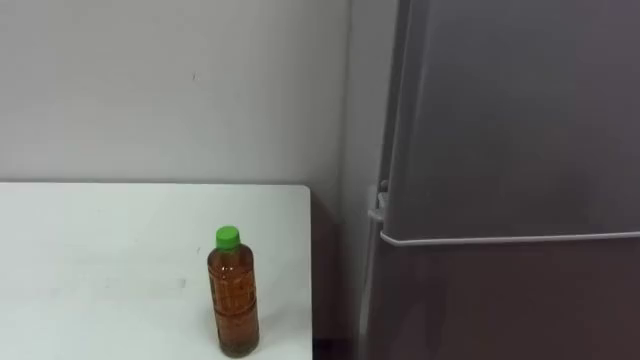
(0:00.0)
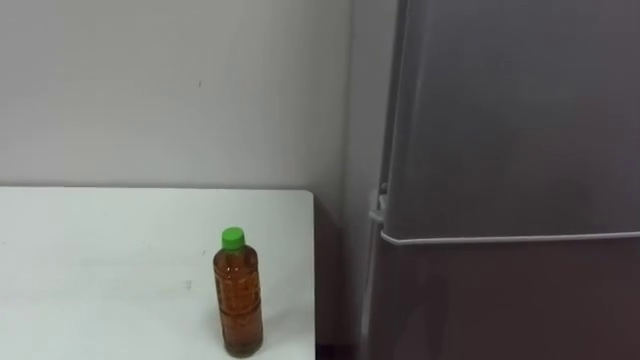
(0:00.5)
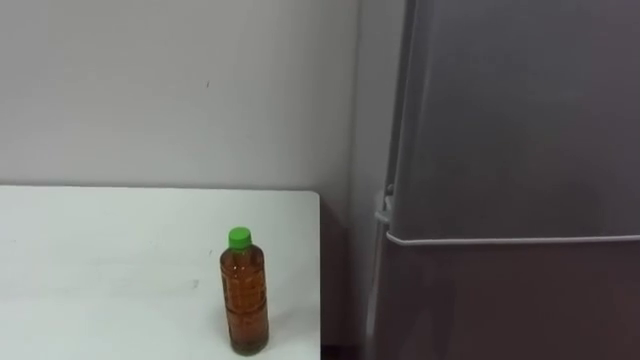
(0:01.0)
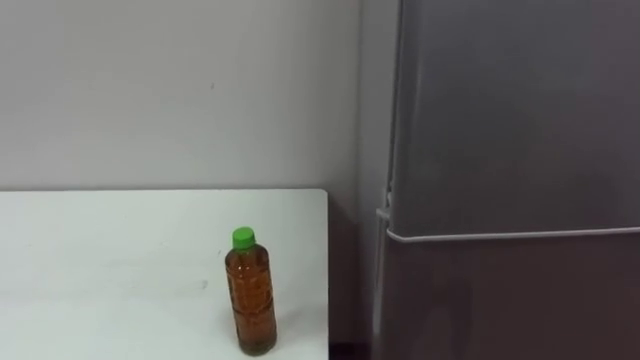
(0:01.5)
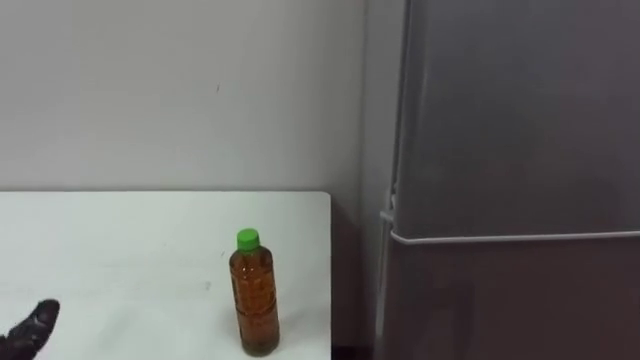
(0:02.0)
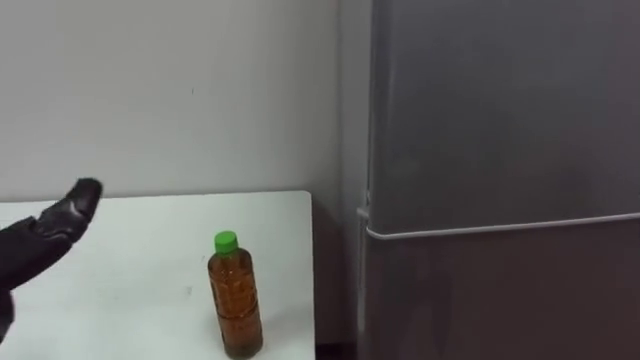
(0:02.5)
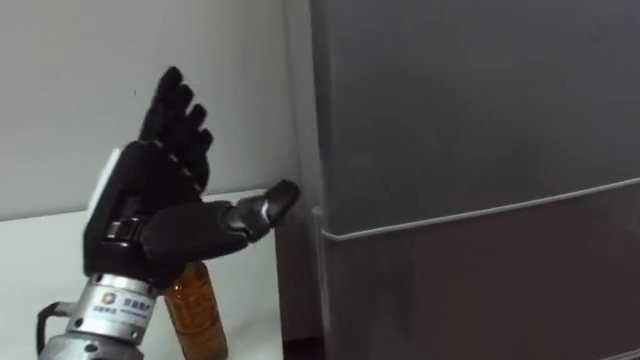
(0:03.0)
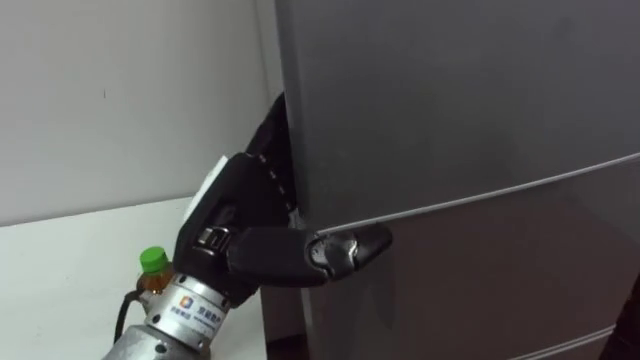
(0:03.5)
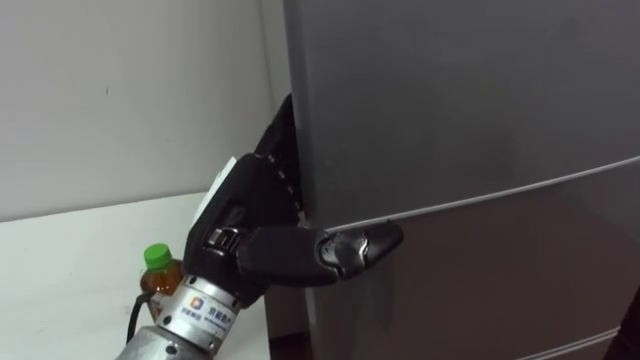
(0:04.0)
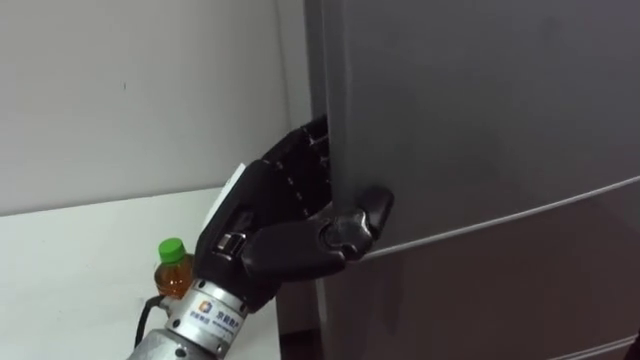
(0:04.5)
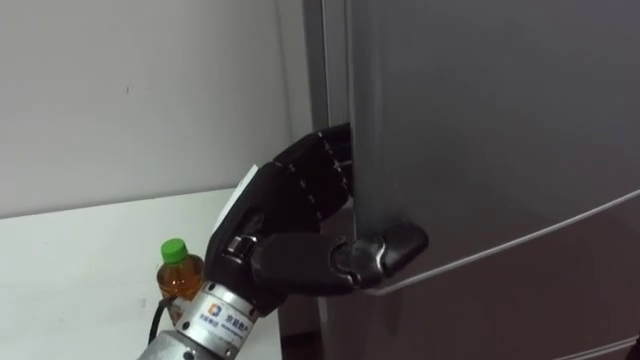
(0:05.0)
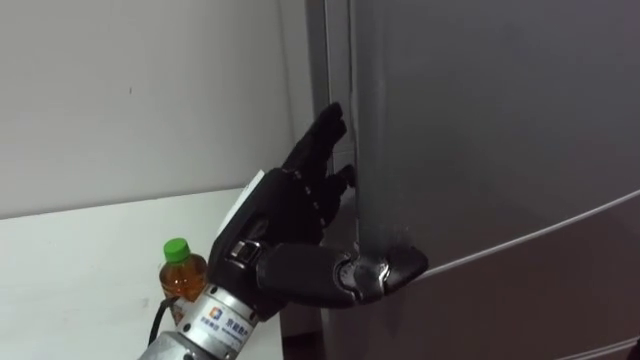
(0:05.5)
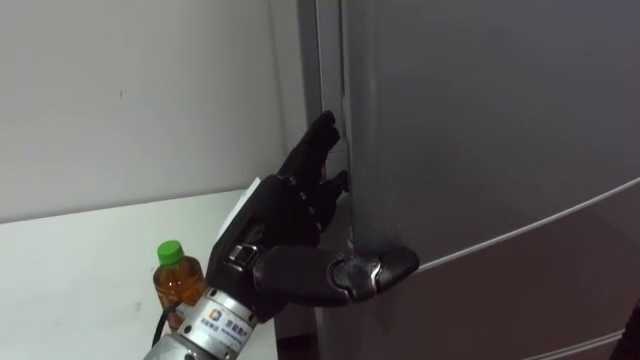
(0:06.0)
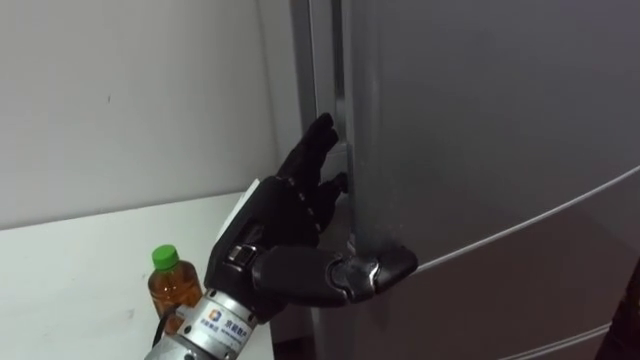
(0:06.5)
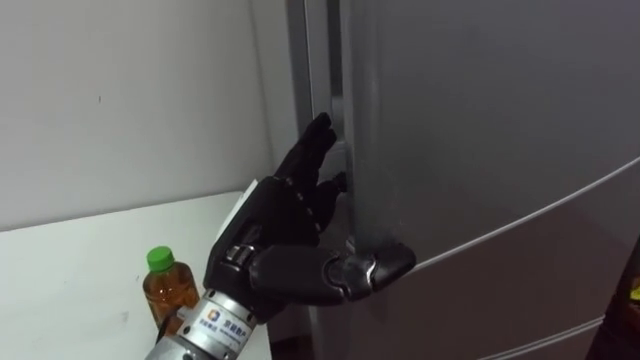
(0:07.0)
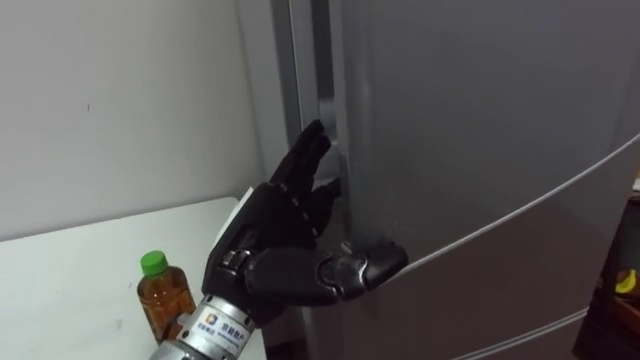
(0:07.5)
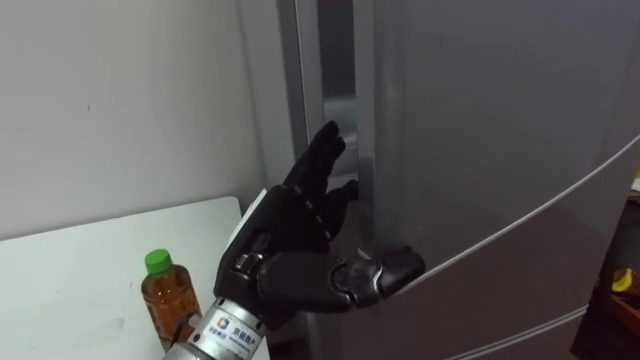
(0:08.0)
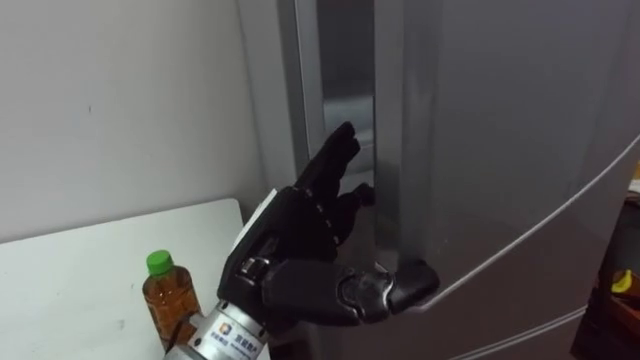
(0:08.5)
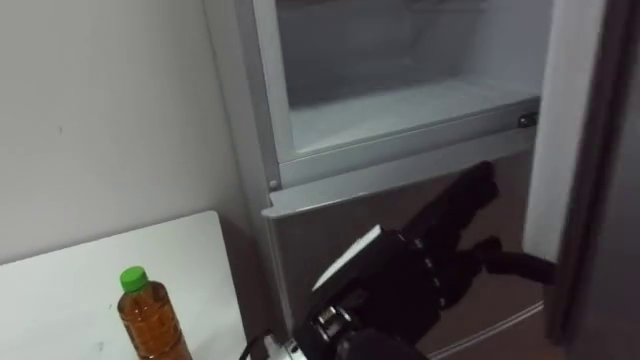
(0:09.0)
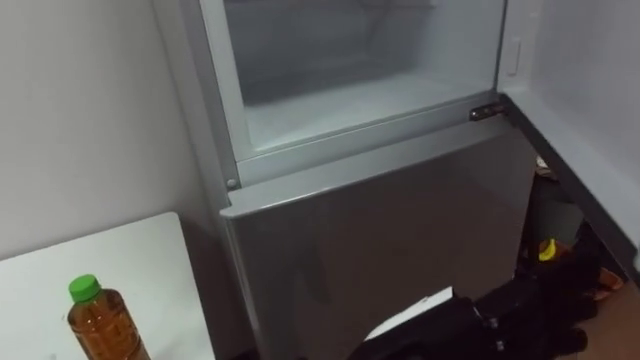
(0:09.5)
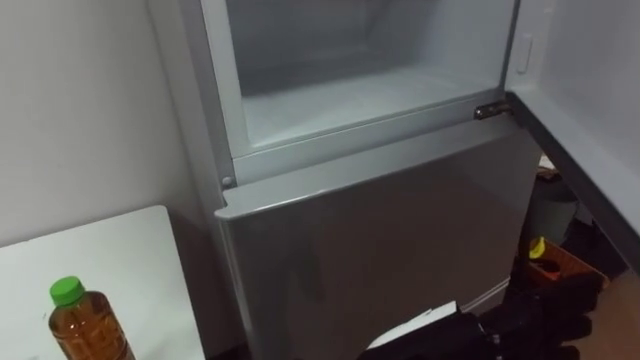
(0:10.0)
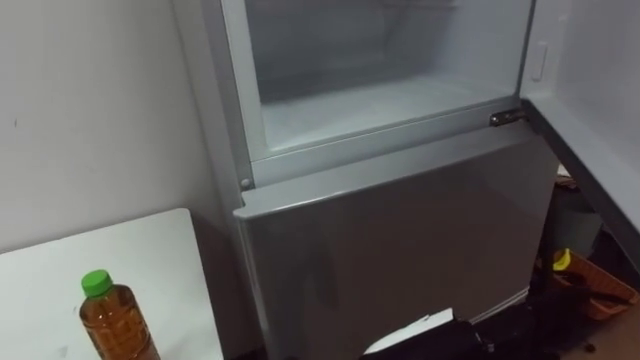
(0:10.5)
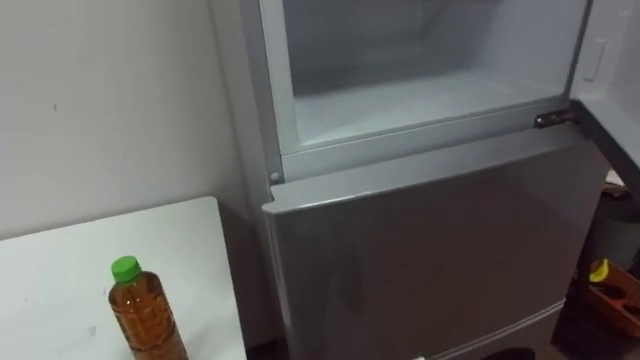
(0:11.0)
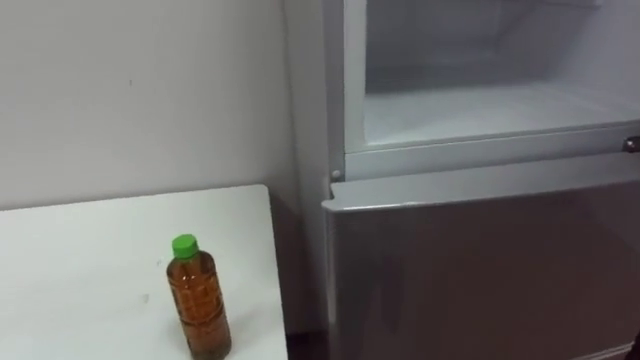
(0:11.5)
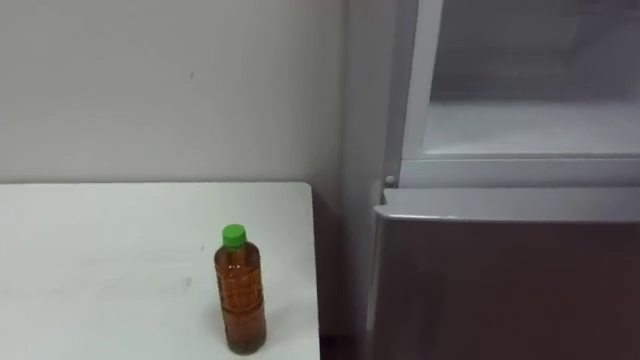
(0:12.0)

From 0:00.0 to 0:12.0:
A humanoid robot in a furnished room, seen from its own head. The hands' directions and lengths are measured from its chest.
Task of the whole recording: Open the upper refrigerator door, put the drink from the table into the refrigerator, and then close the refrigerator door.
From 0:04.0 to 0:06.0: The left hand closes, then opens again.
From 0:08.0 to 0:10.0: The left hand shifts some 15 cm to the right and backward.

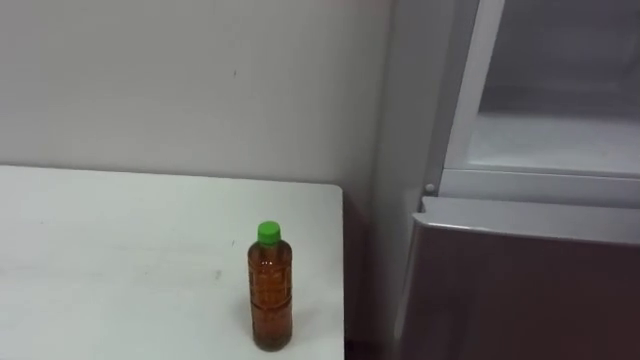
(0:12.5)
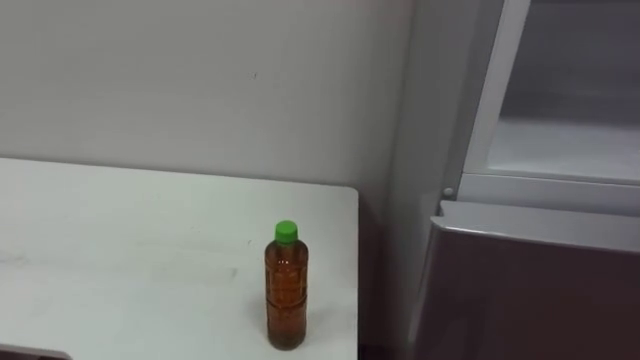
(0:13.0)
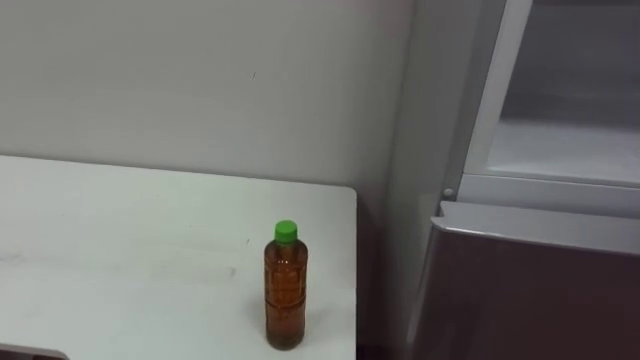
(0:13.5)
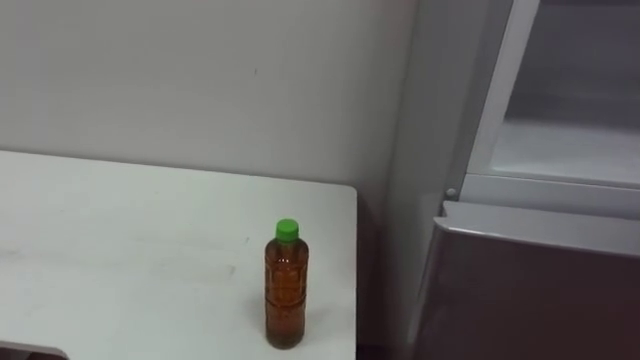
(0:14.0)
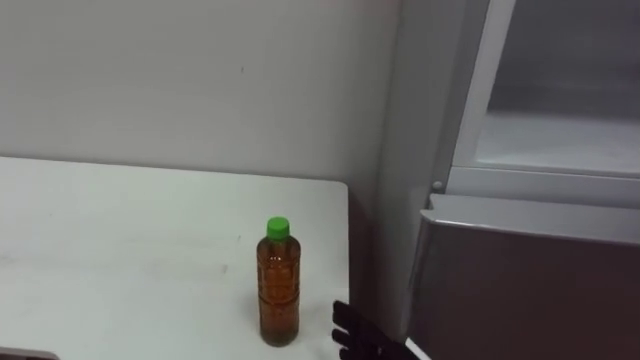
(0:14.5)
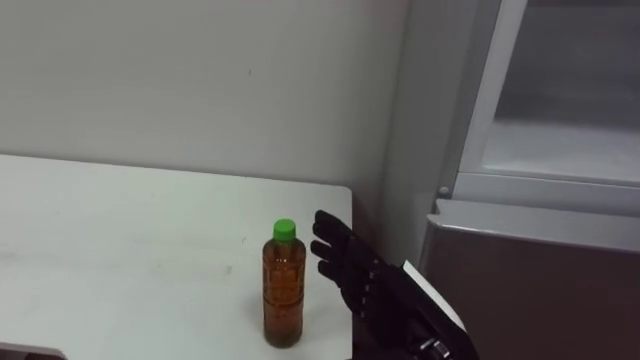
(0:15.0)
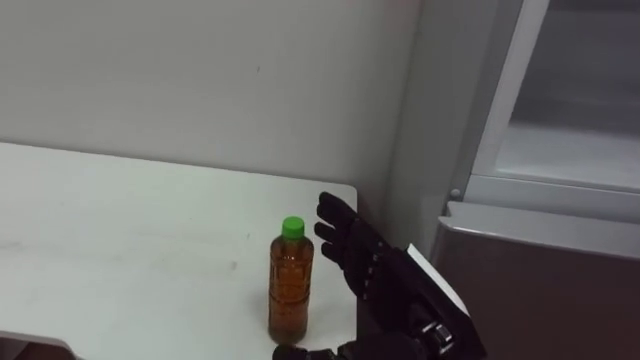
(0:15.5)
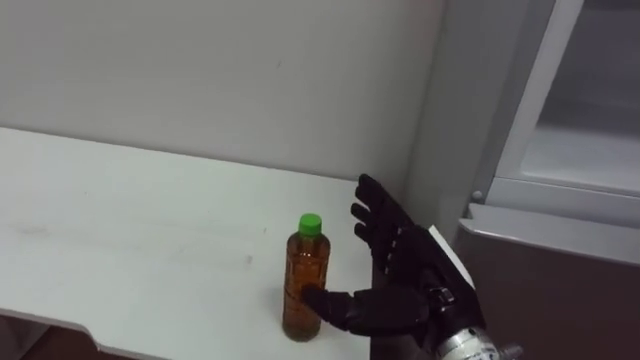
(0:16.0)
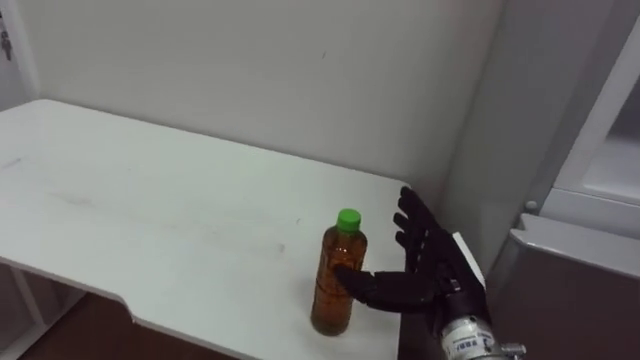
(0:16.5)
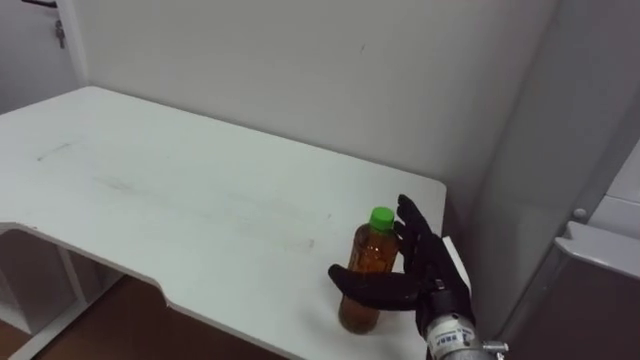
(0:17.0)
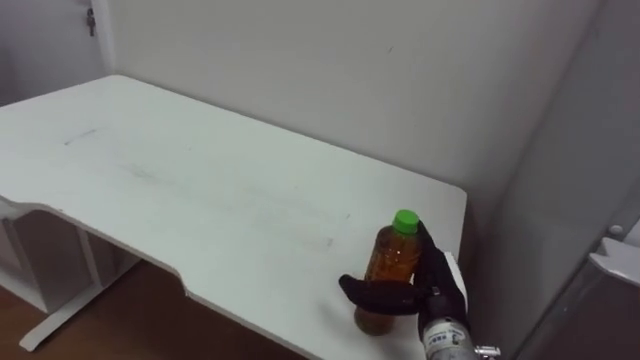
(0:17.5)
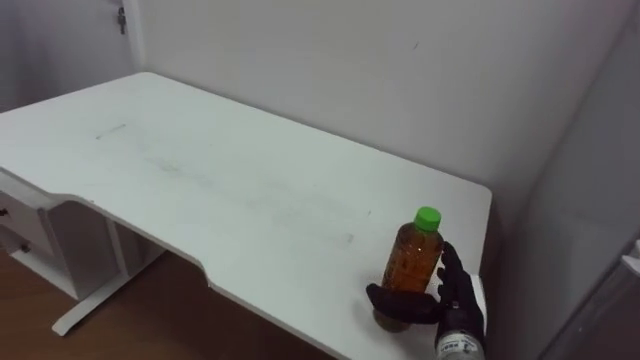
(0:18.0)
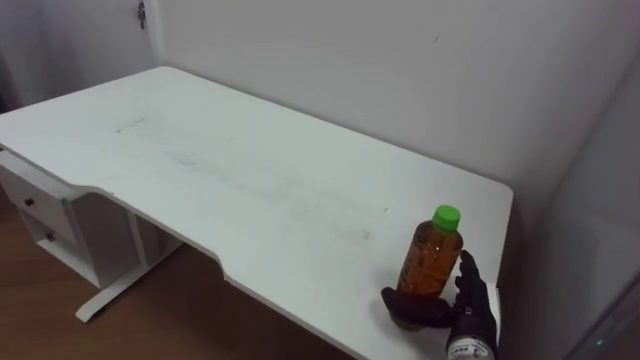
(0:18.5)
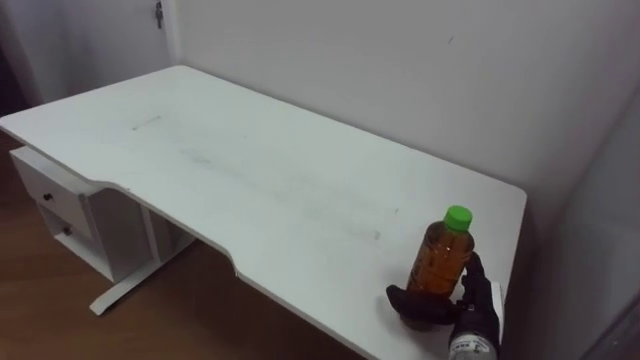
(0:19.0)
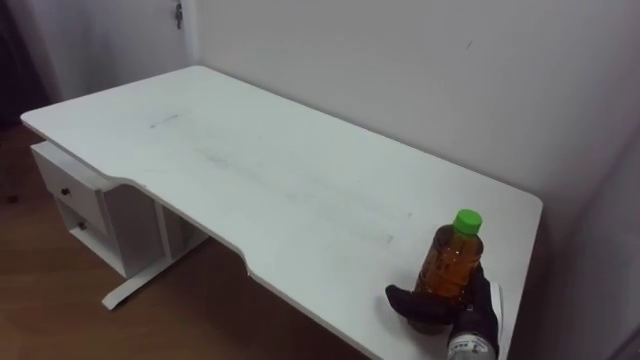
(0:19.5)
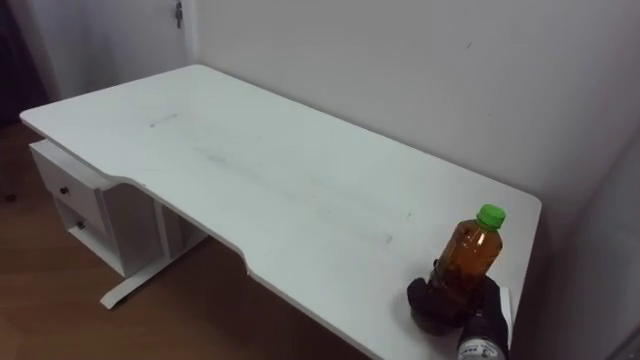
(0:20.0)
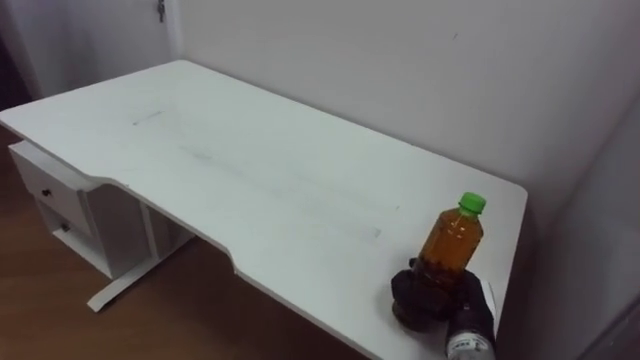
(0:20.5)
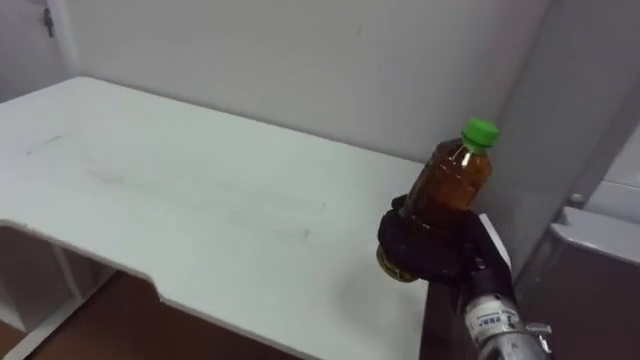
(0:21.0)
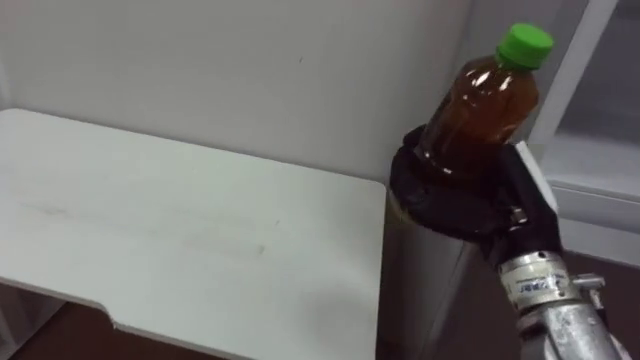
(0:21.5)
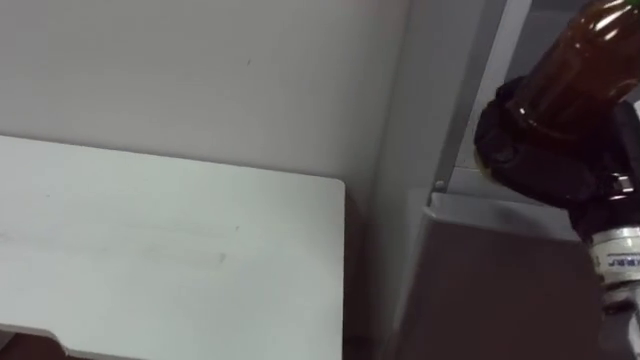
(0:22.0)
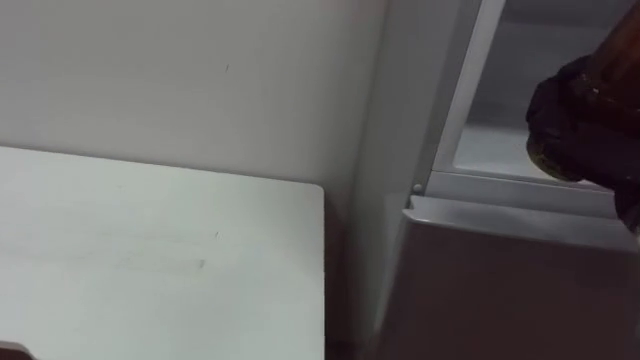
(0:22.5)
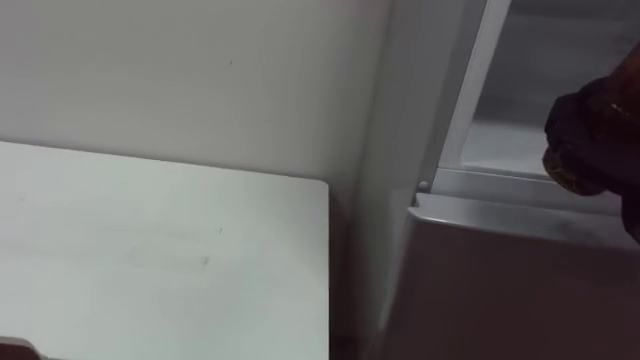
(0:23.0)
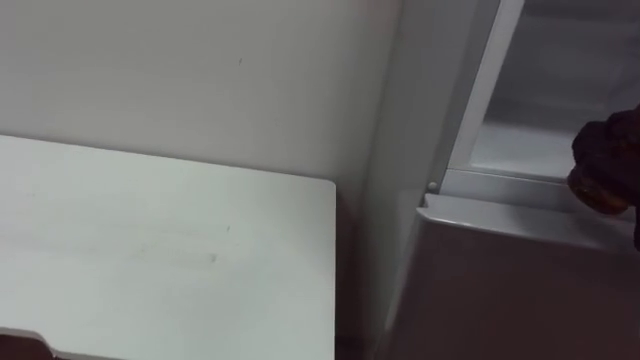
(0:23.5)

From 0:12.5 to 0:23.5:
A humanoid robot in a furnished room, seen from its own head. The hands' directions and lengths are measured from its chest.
Task of the whole recording: Open the upper refrigerator door, put the drink from the table into the refrigerator, and then close the refrigerator door.
From 0:16.0 to 0:18.0: The right hand is displaced downward and forward by about 15 cm.
From 0:18.0 to 0:20.0: The right hand closes its fingers.
From 0:20.0 to 0:21.5: The right hand shifts approximately 20 cm upward.
